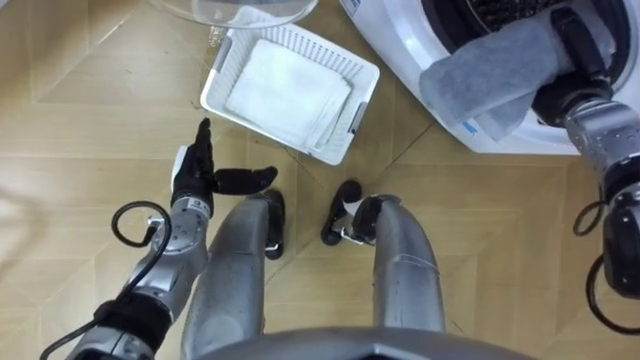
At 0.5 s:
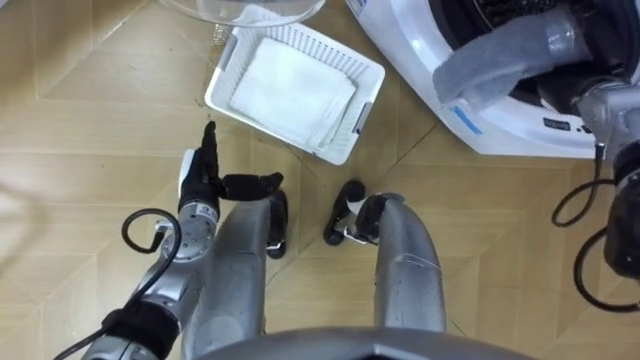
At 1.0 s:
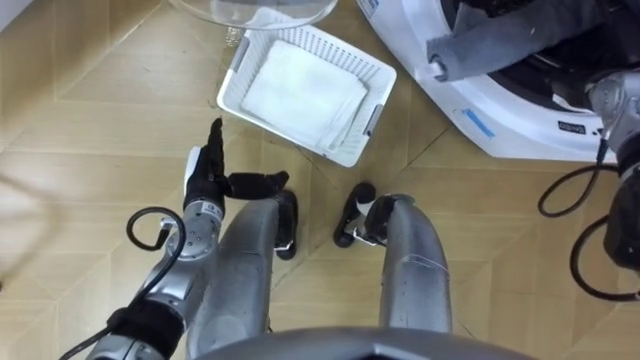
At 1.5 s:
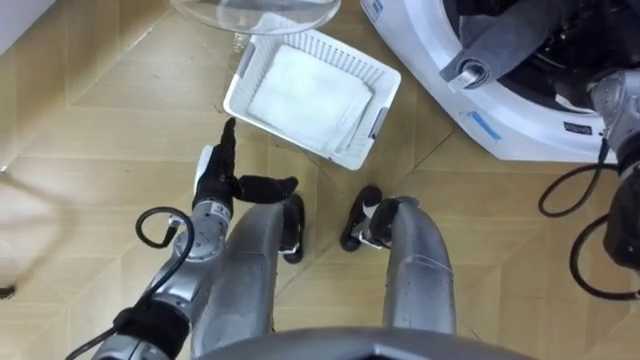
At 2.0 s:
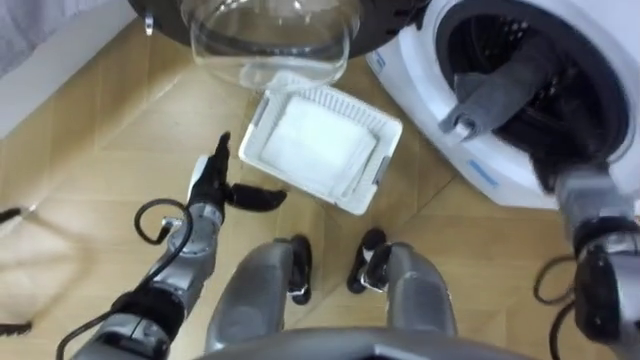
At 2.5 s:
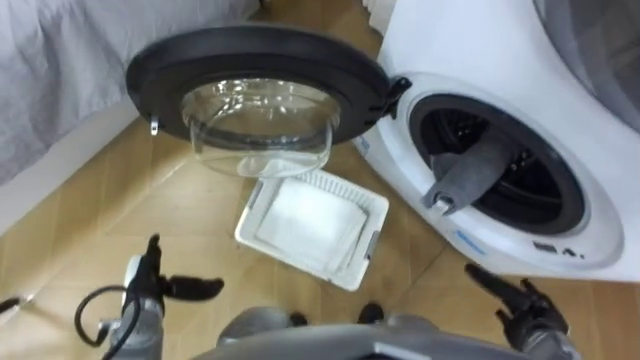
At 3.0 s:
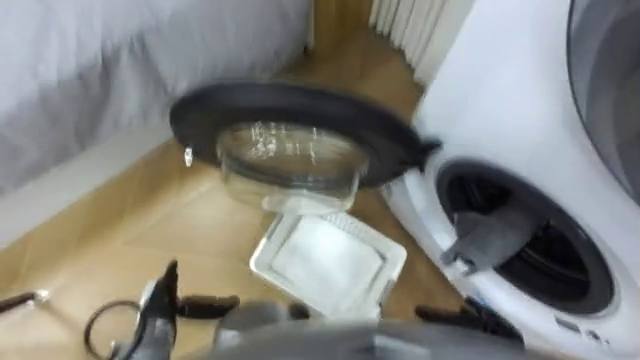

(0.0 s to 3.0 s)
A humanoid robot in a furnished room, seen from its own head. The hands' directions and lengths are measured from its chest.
Task of the whole recording: Take the towel from the basket and put it into the washing machine.
0.0 s - 1.5 s: The right hand opens up.
1.5 s - 3.0 s: The left hand shifts roughly 20 cm backward, downward and to the left. Meanwhile the right hand heads backward and downward, covering some 40 cm.

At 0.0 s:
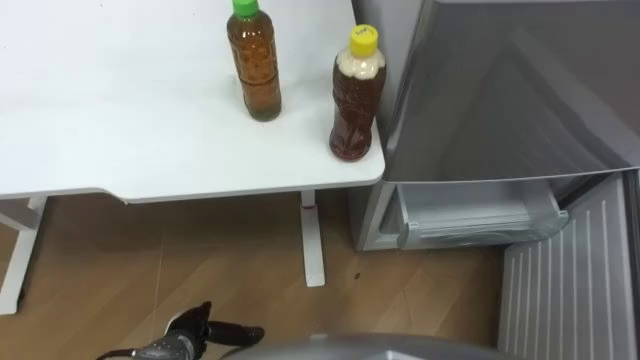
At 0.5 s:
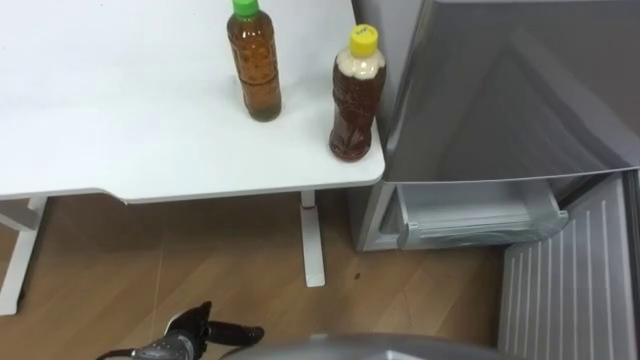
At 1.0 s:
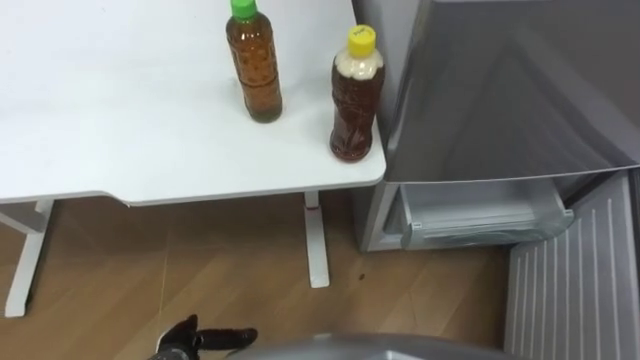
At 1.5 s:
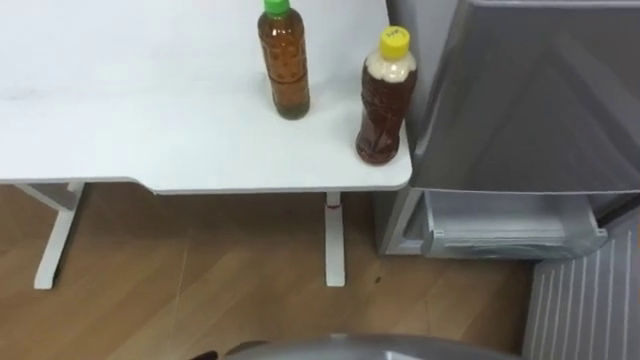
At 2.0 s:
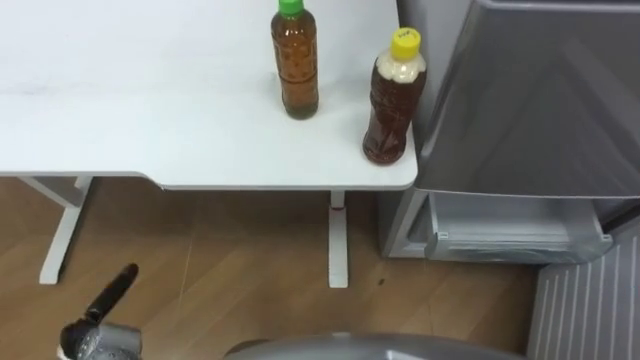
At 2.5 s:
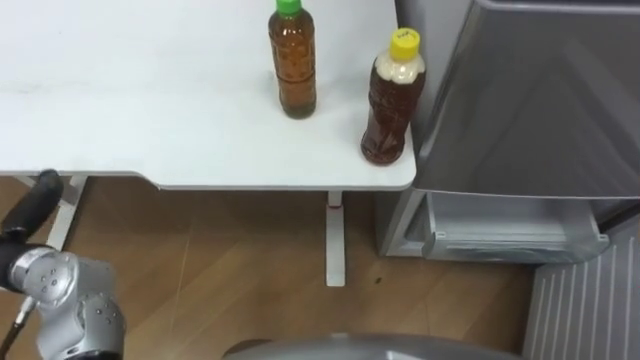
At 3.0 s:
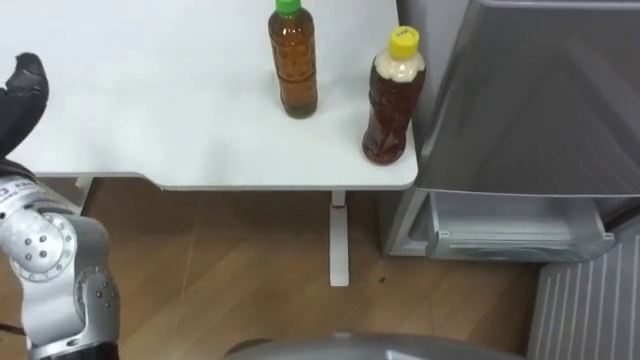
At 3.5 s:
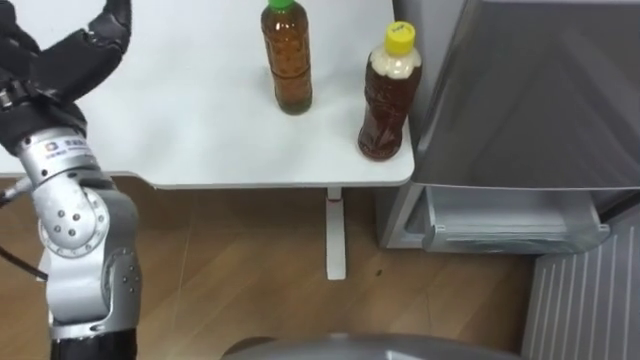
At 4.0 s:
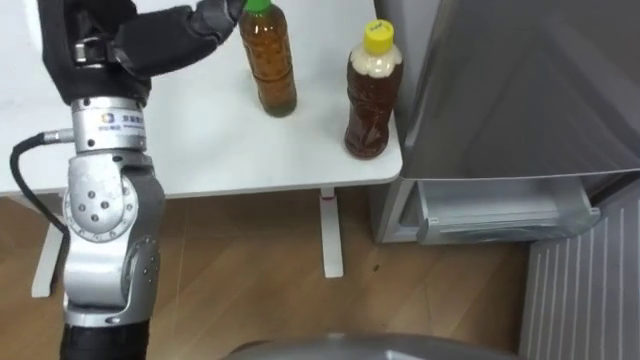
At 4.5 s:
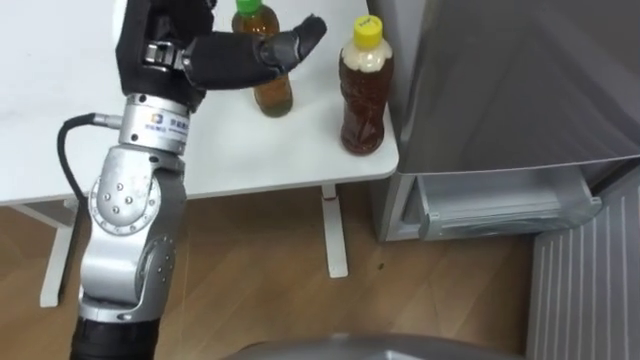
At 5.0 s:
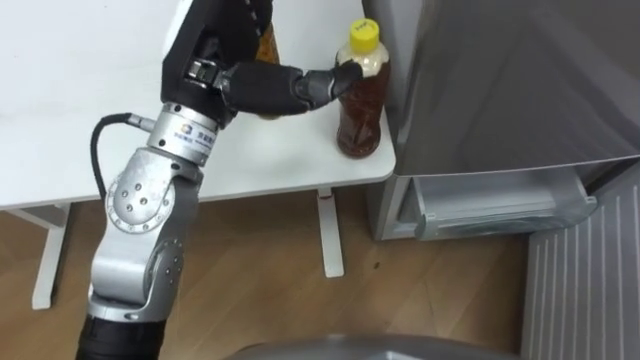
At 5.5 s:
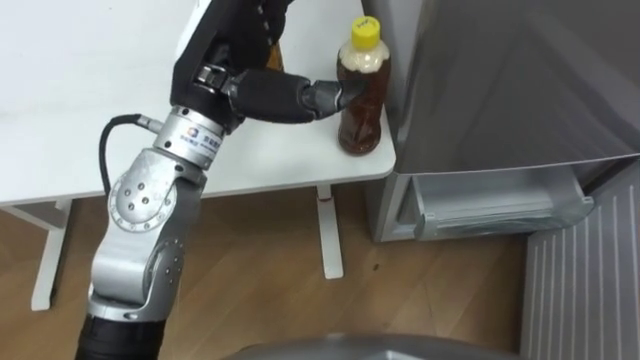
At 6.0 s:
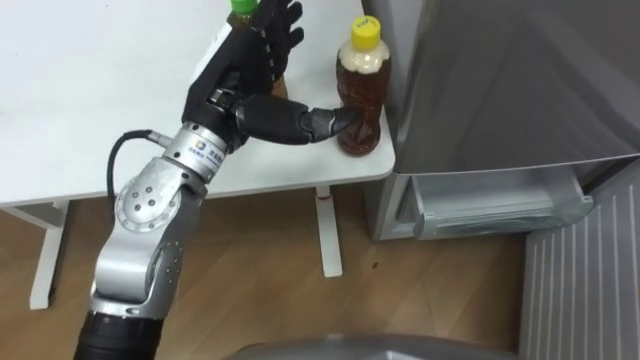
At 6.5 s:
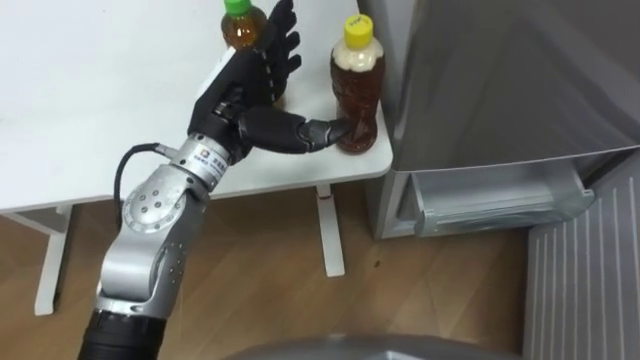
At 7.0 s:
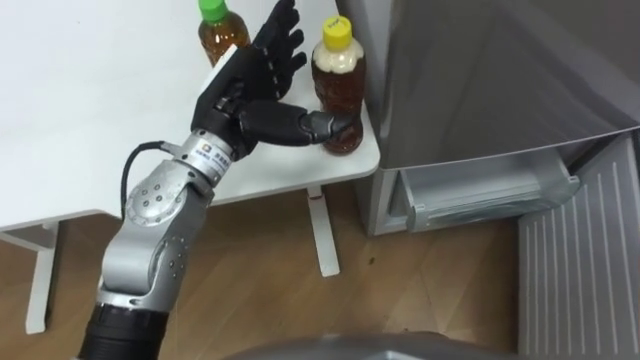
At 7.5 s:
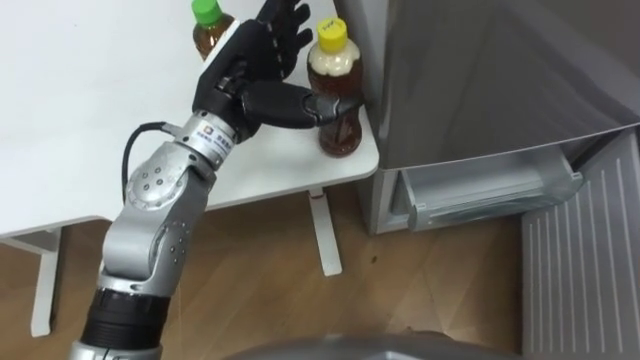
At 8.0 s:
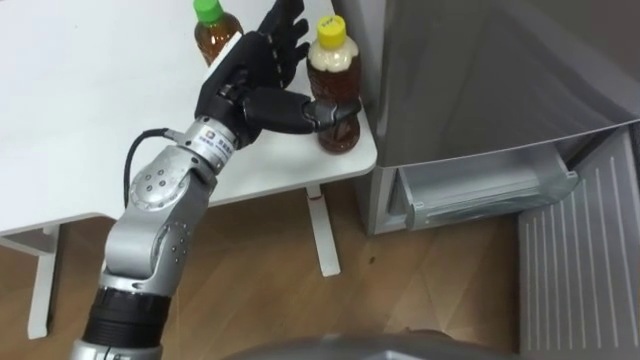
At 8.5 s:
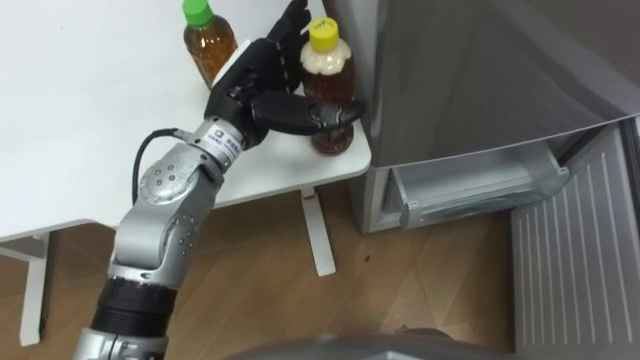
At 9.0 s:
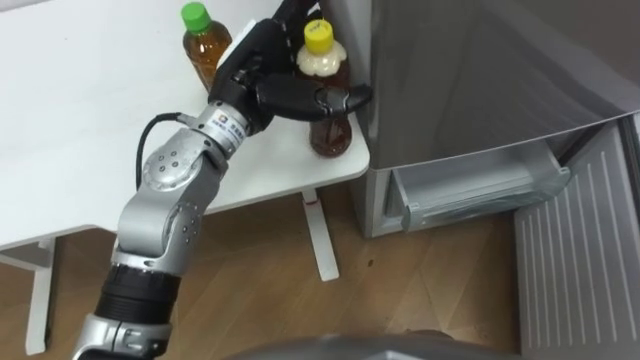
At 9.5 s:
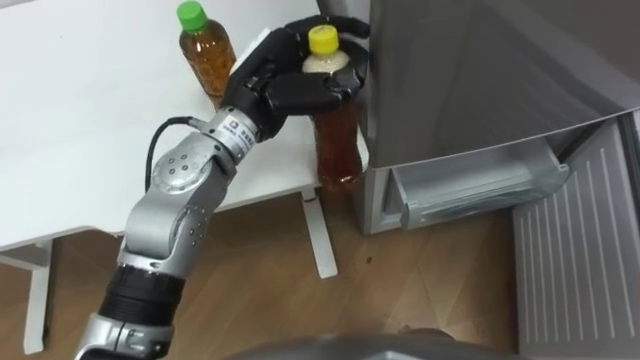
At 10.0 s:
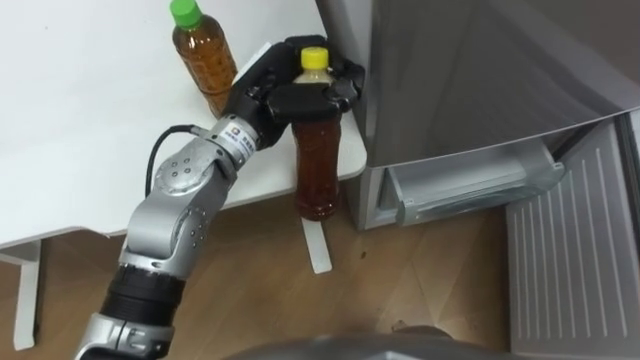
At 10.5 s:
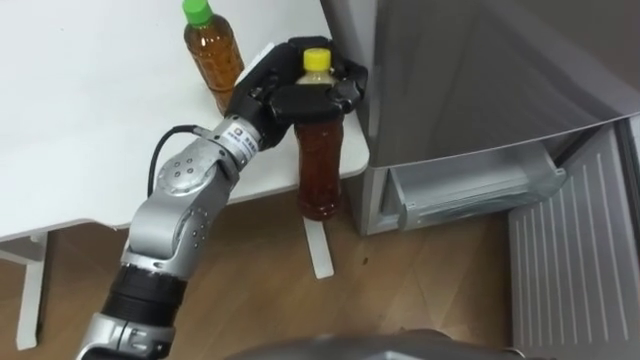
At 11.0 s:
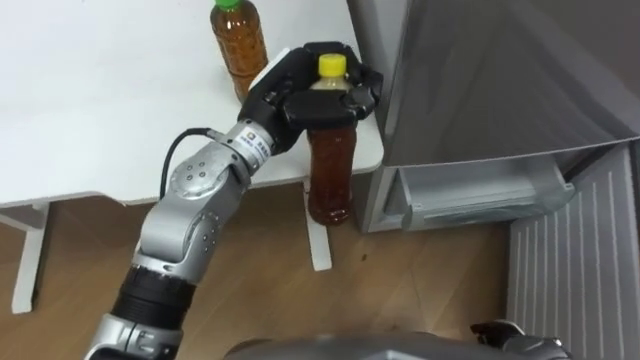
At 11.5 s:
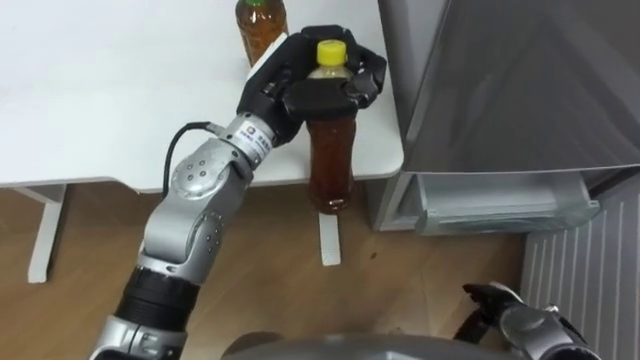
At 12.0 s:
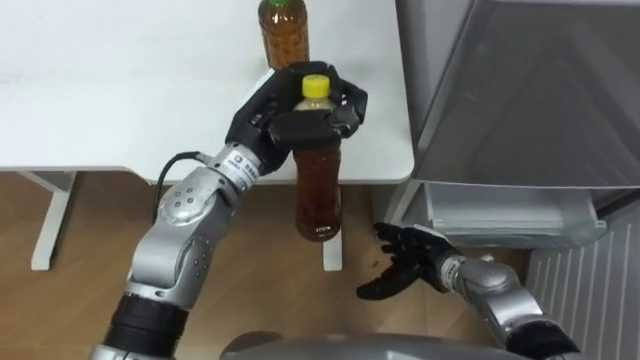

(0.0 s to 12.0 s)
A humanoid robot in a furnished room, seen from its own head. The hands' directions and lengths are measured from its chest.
Task of the whole recording: Place the drink on the table on the bottom shelf of the refrigerator, then close the drawer and the refrigerator door.
4.0 s - 6.0 s: The left hand moves to the right and downward, about 10 cm.
8.0 s - 10.0 s: The left hand closes up.

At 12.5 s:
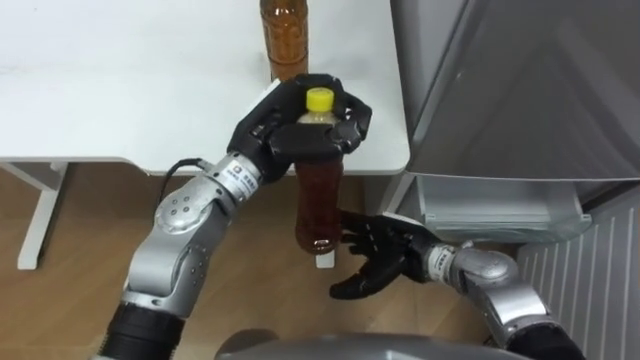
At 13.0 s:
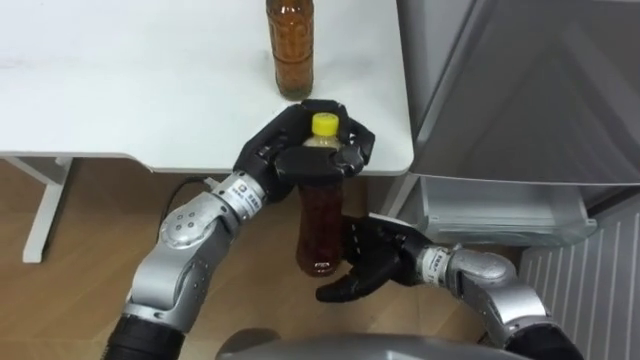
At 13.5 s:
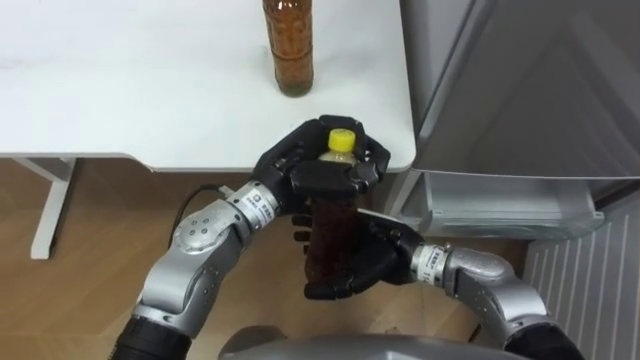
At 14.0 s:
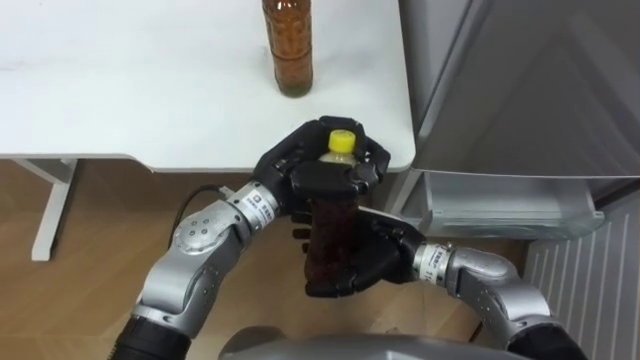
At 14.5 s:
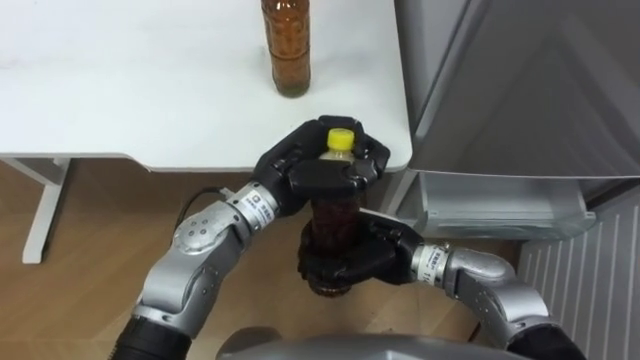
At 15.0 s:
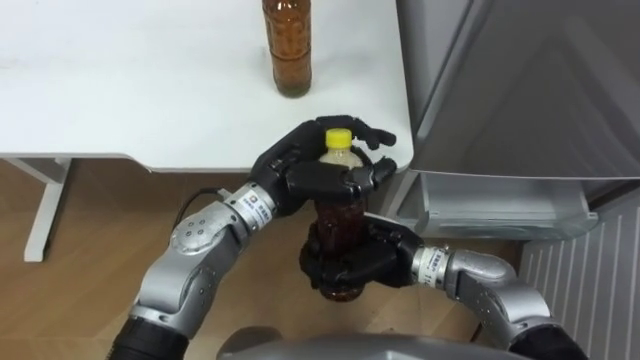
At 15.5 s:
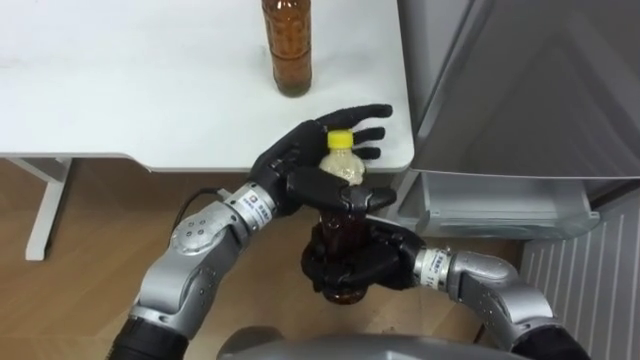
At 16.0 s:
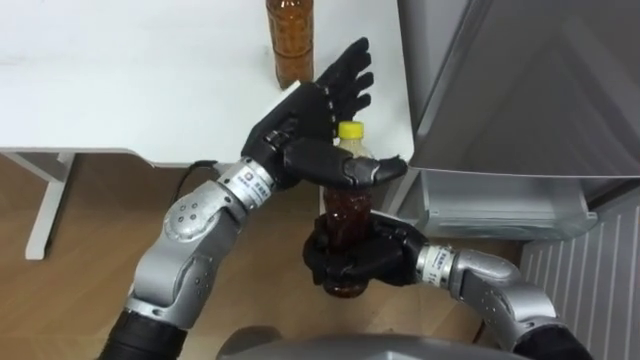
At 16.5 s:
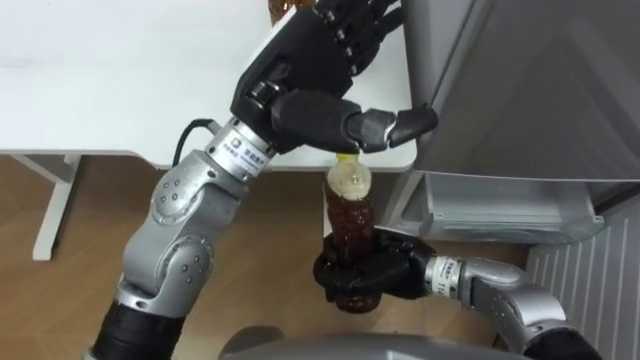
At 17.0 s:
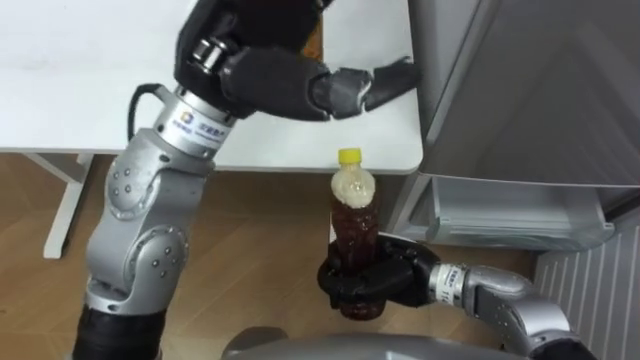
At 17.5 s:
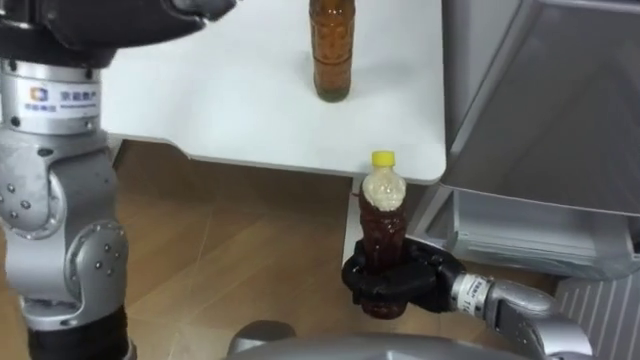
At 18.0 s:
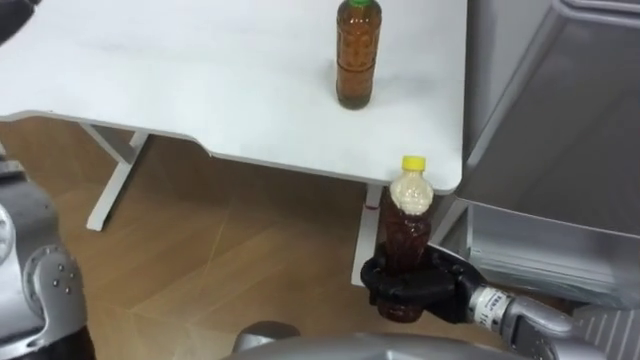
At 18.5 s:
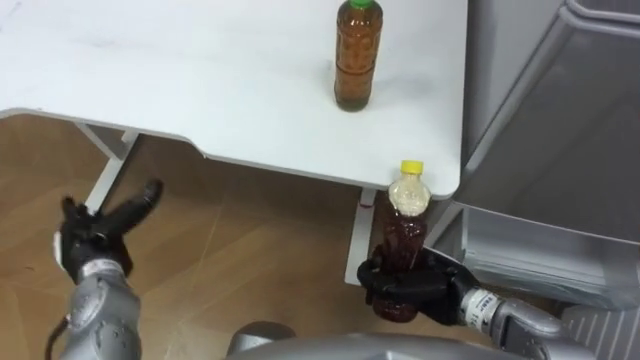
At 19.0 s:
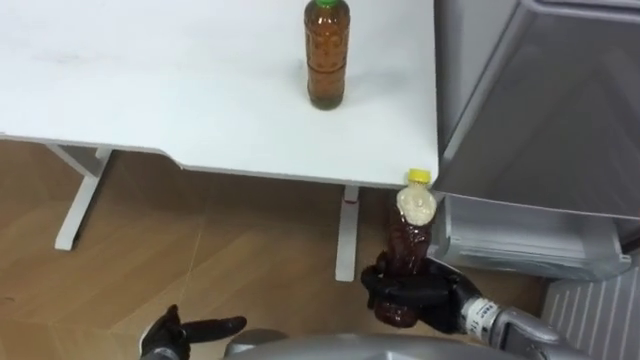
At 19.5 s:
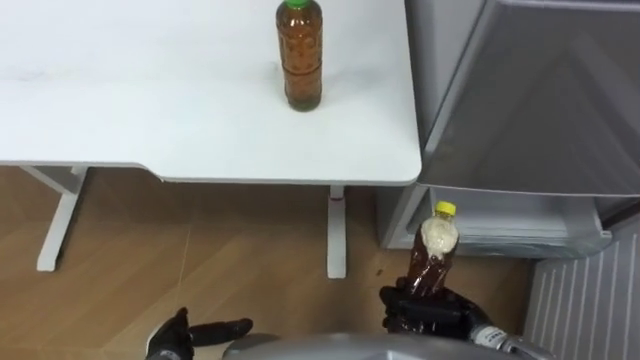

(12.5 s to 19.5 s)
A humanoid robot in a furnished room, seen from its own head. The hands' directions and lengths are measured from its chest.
Task of the whole recording: Place the drink on the table on the bottom shelf of the refrigerator, then close the drawer and the refrigerator door.
12.5 s - 14.5 s: The right hand moves approximately 5 cm, and closes.
14.5 s - 16.0 s: The left hand changes place by some 5 cm, and opens up.
16.0 s - 17.5 s: The left hand heads upward and to the left, covering roughly 25 cm; the right hand heads to the right, covering roughly 5 cm.
17.5 s - 19.5 s: The right hand goes approximately 10 cm downward, backward and to the right.
